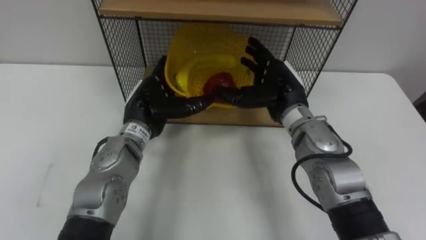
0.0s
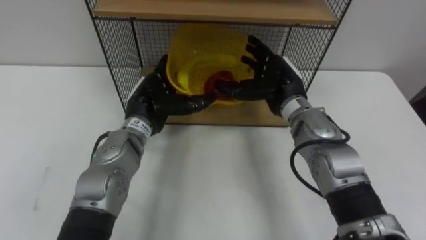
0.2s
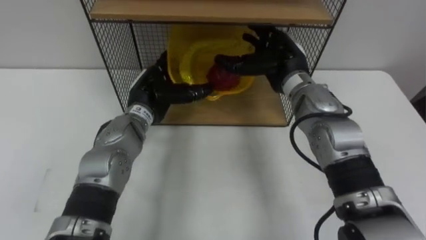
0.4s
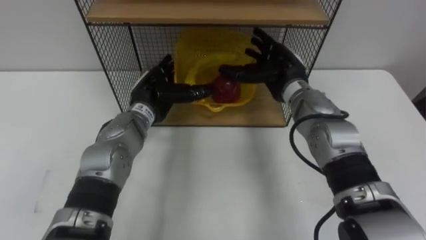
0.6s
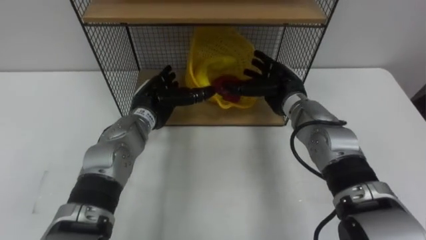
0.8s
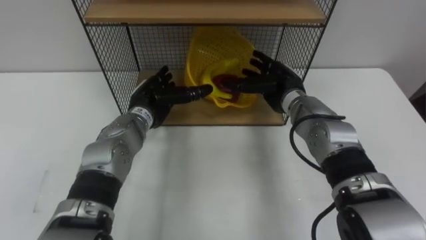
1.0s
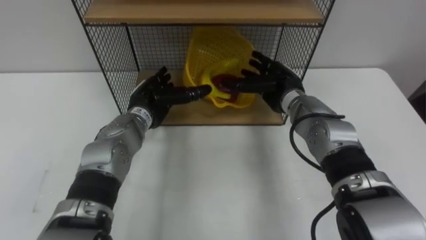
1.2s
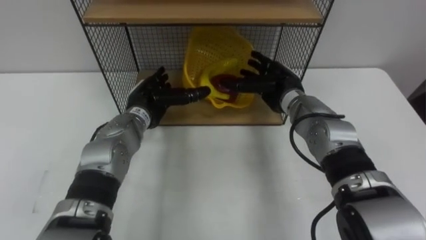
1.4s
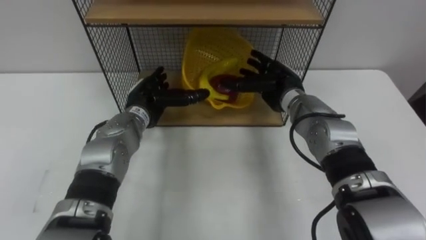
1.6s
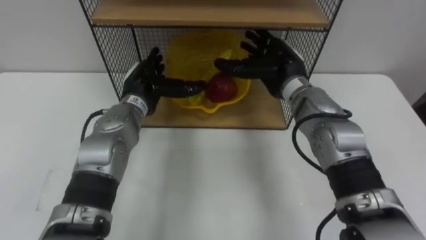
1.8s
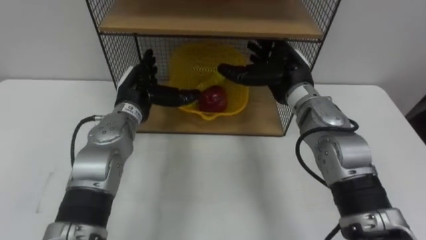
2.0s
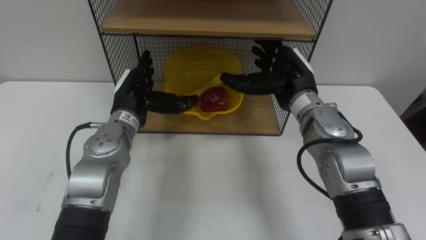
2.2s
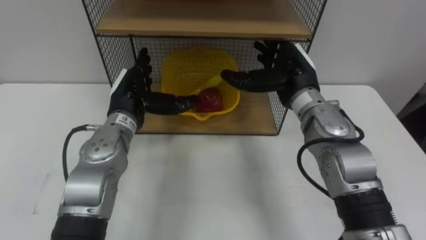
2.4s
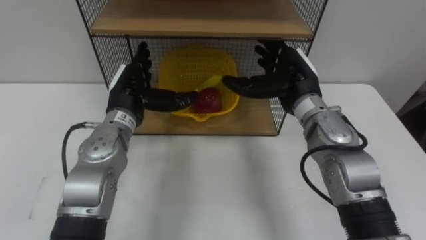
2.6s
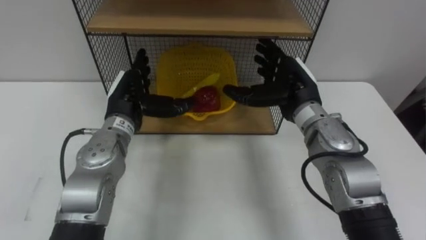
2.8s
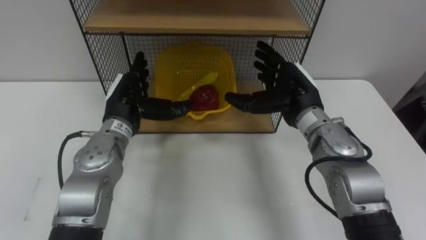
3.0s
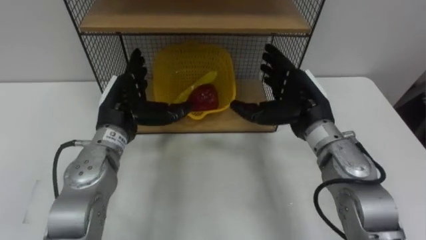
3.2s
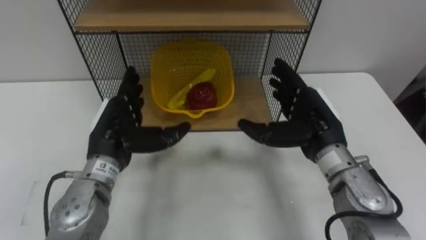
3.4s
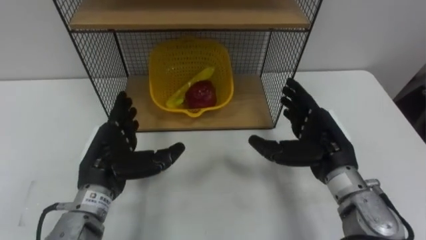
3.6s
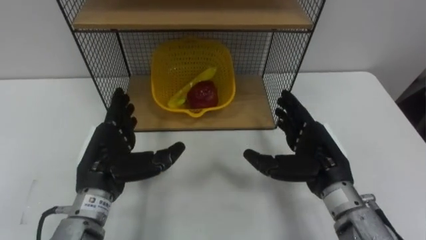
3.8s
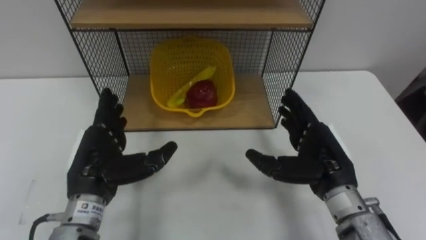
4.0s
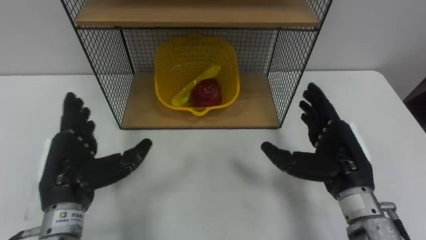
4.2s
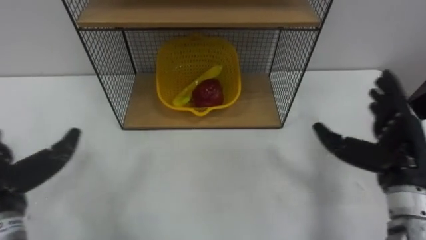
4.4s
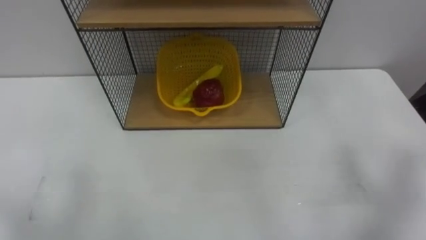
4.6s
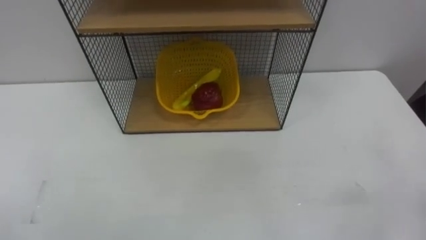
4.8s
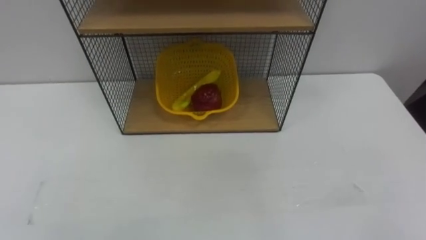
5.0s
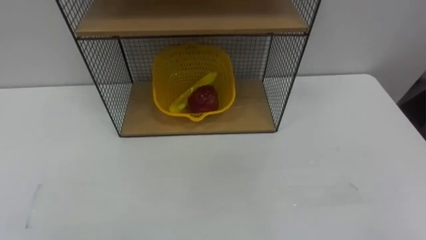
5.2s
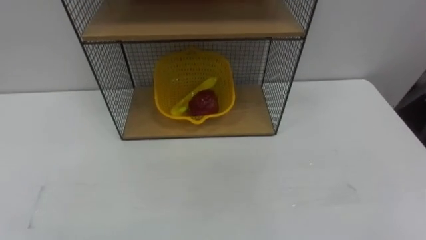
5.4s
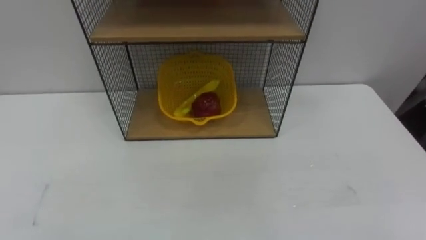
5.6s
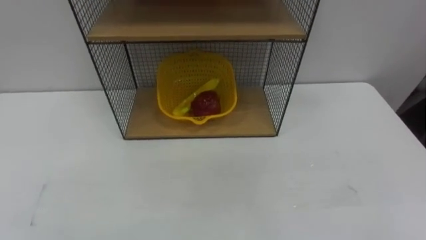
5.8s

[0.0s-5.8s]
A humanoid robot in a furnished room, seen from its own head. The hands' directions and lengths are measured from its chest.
Task of the whole recording: Put the fruit on the table into the basket, then place the basket on the shelf.
0.0s to 1.4s: The left hand ends up roughly 5 cm from where it was. The right hand ends up about 5 cm from where it was.
1.4s to 2.8s: The right hand shifts by about 5 cm. Meanwhile the left hand ends up about 5 cm from where it was.
2.8s to 4.4s: The left hand moves backward and to the left, about 20 cm. The right hand is displaced to the right and backward by some 20 cm.
